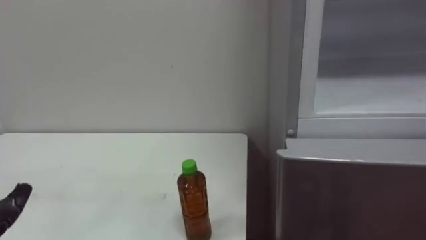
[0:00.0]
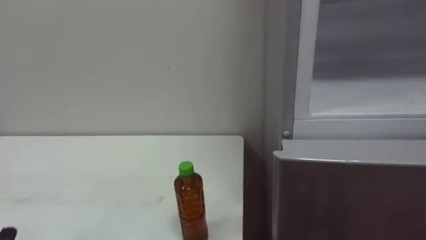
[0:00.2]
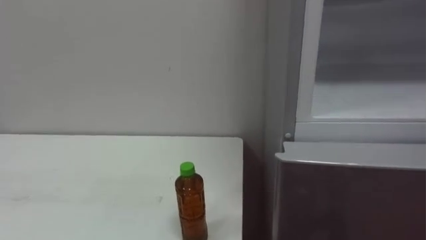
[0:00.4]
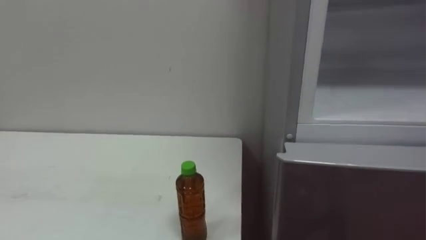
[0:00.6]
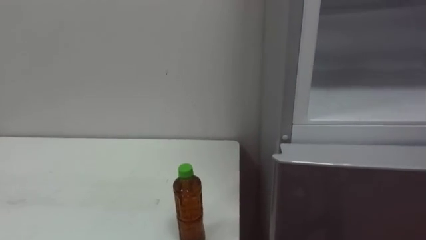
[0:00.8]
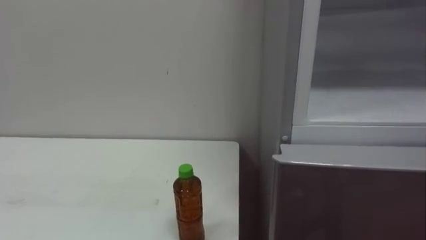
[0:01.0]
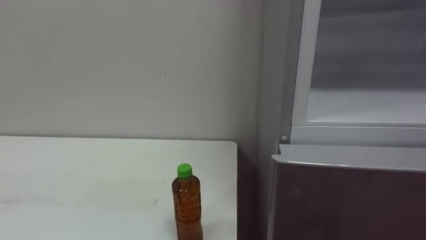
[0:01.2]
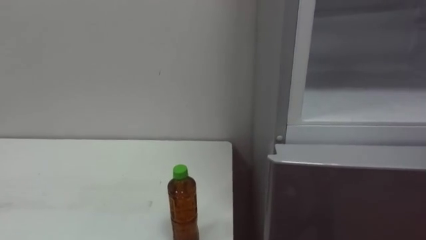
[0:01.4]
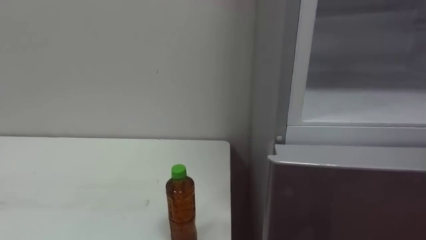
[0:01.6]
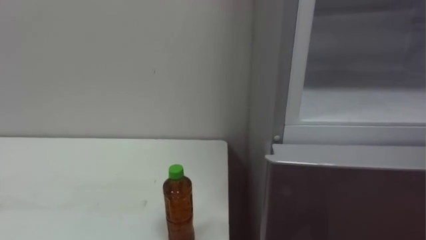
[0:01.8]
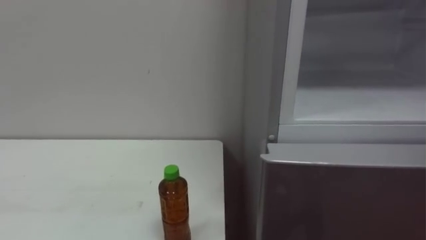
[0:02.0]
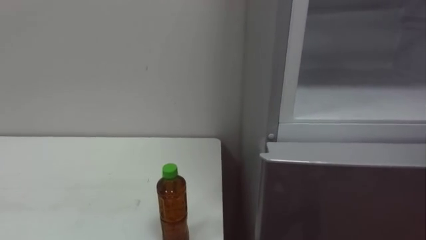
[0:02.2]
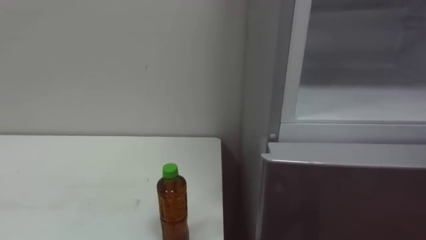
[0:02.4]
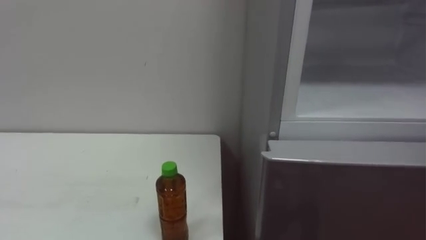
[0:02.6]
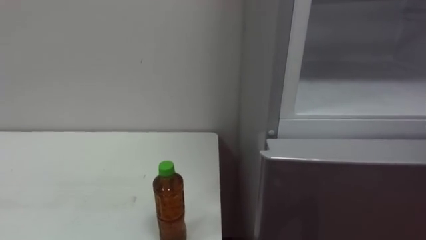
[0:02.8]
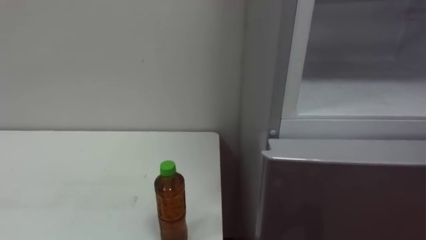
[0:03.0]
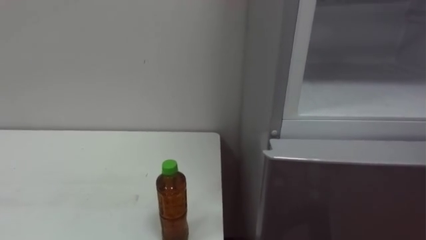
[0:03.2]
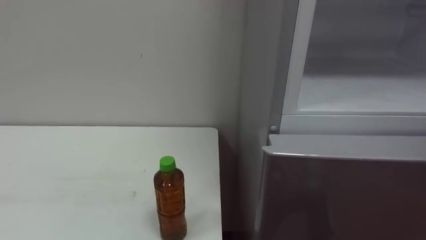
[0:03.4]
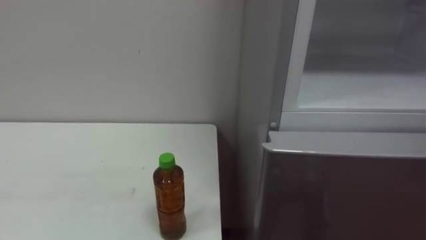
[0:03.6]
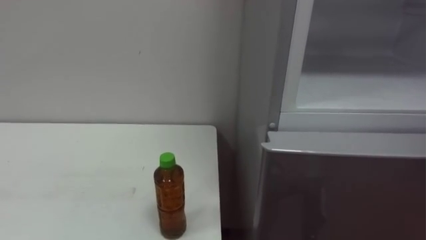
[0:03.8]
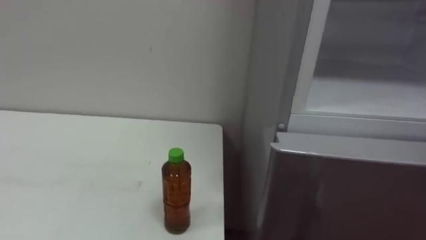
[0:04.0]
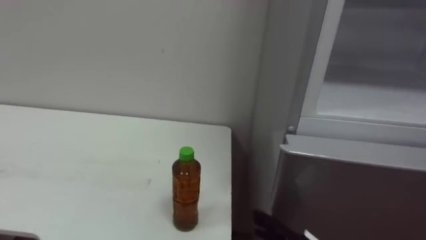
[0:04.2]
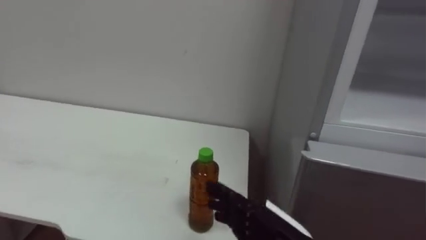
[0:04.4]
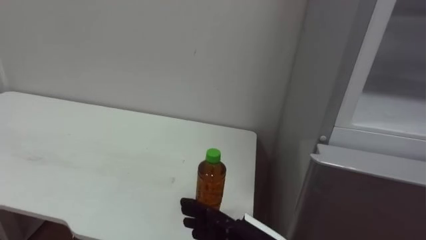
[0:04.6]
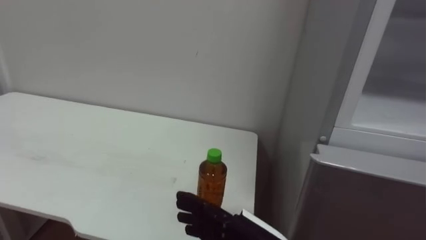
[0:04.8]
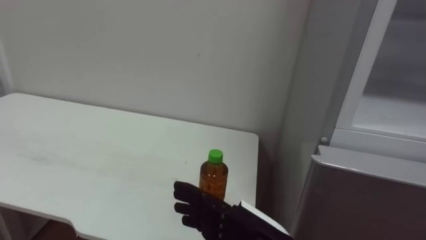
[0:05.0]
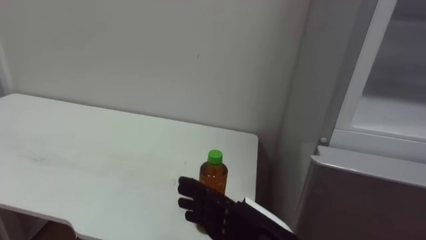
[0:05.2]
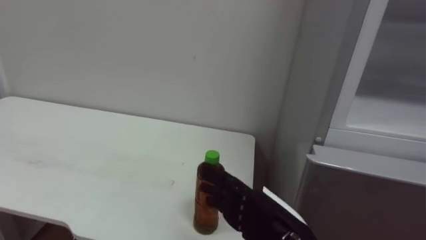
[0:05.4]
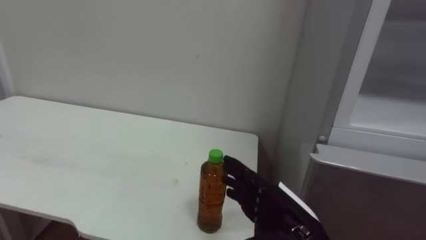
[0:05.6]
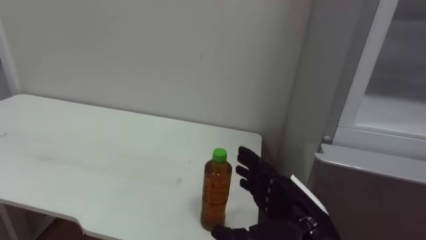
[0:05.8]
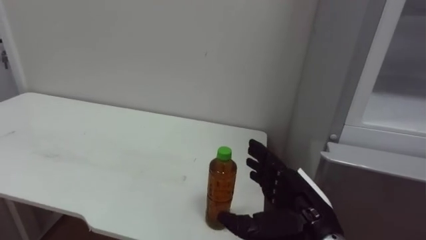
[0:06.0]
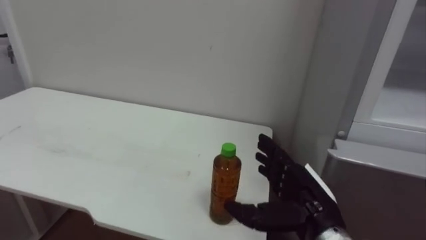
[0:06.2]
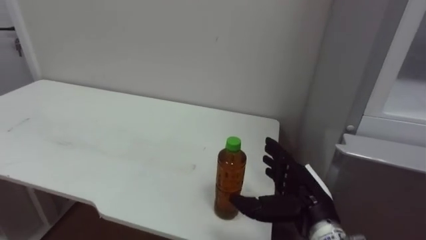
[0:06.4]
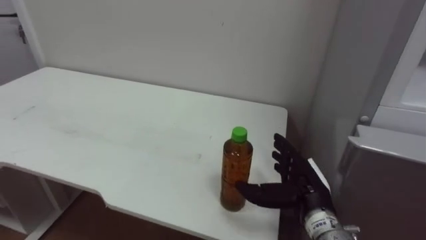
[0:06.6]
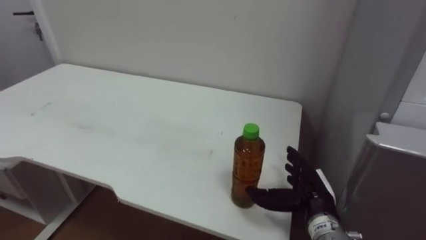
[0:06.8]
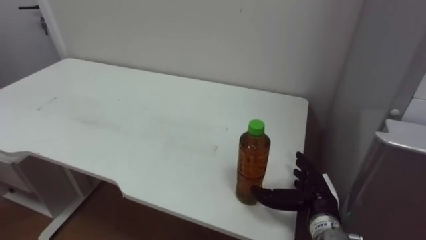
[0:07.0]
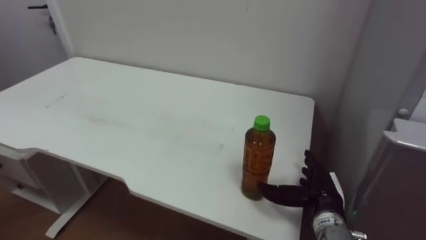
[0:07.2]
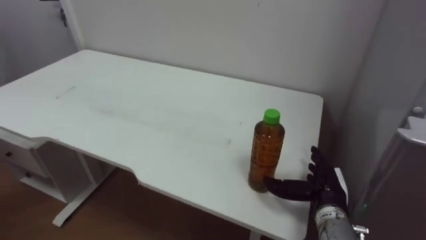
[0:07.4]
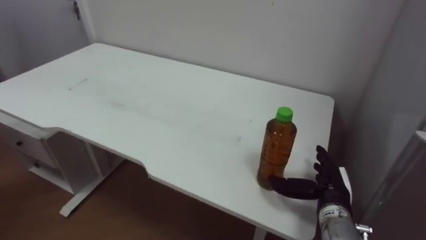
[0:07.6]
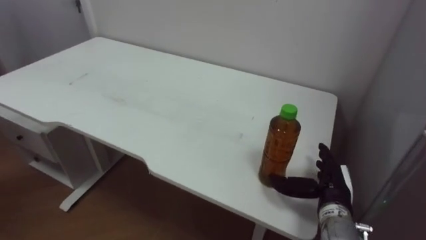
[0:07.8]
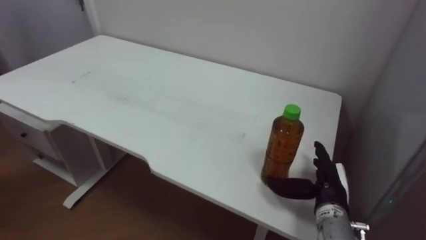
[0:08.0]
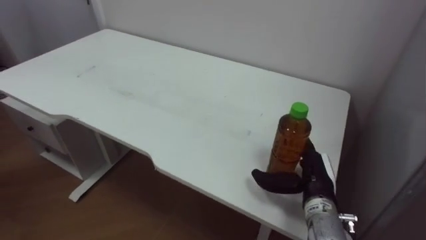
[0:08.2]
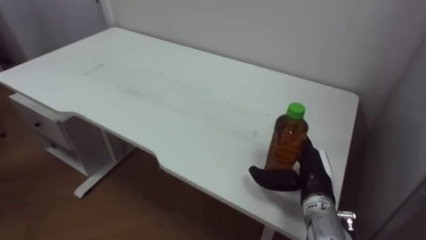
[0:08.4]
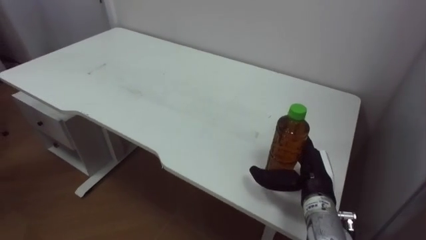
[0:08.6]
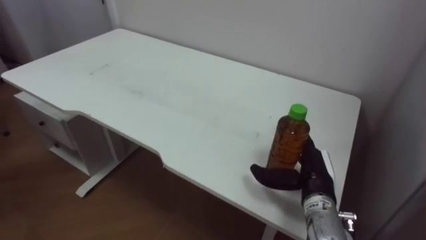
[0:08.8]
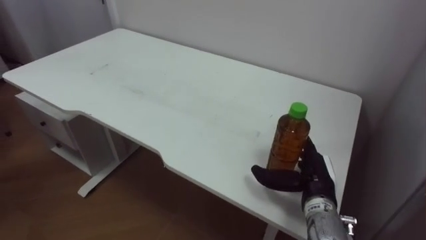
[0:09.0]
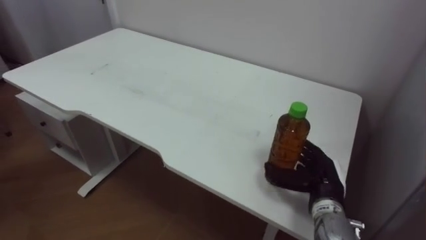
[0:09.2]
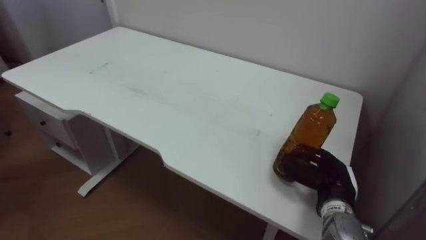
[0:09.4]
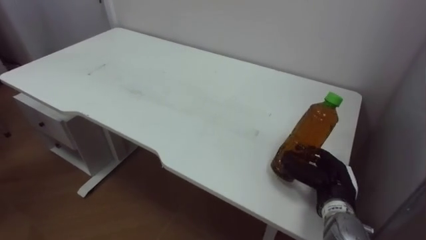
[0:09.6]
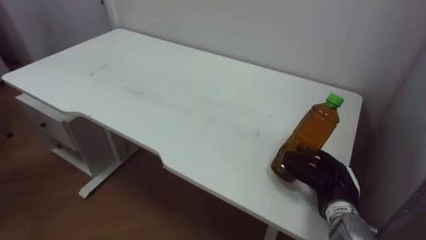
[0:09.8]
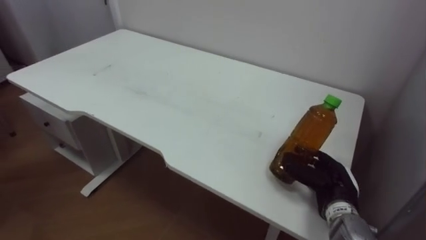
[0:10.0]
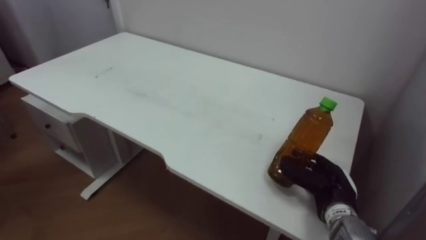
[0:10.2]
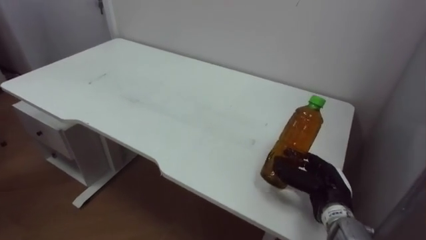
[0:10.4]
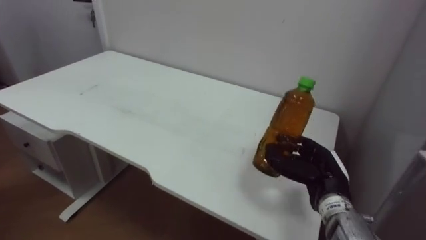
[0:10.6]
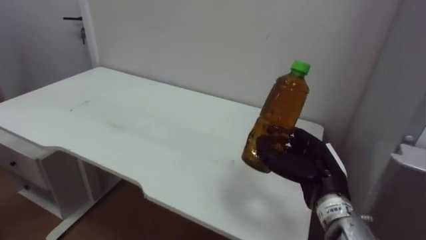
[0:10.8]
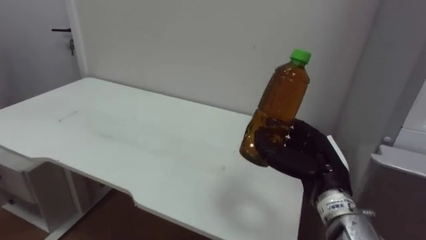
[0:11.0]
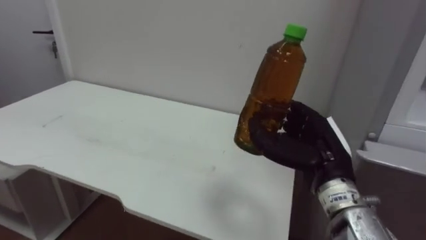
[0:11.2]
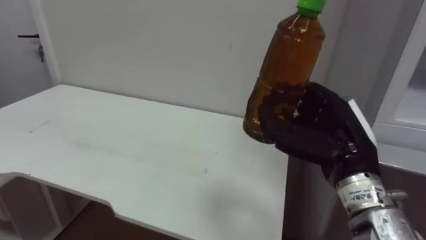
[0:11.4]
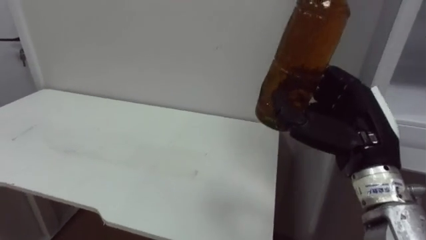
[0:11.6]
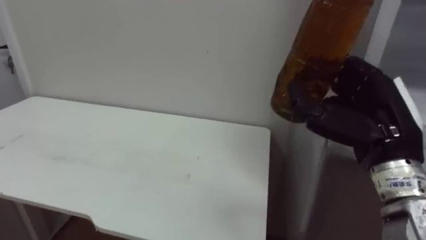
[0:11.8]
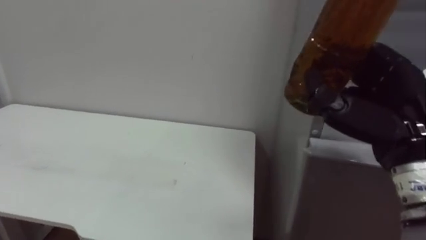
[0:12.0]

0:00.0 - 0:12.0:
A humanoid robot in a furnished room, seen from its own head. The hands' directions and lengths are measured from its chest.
Task of the whole recording: Open the upper refrigerator door, put the drink from the table into the refrigerator, and then close the refrigerator door.
0:06.0 - 0:07.6: The right hand heads forward, to the right and downward, covering approximately 15 cm.
0:09.0 - 0:10.4: The right hand closes up.
0:10.4 - 0:12.0: The right hand goes approximately 20 cm upward and backward.

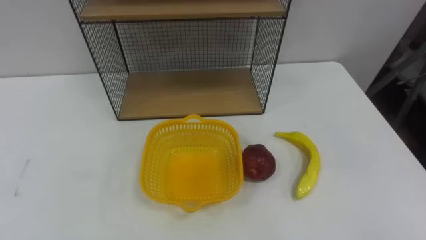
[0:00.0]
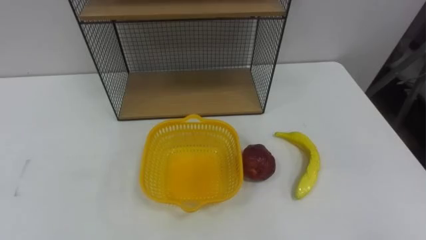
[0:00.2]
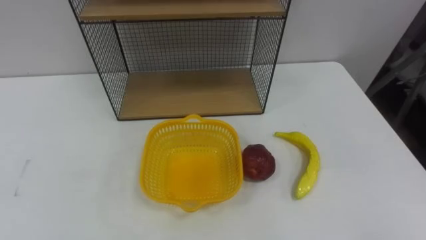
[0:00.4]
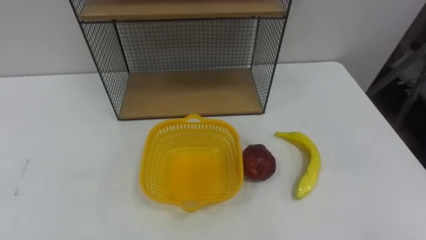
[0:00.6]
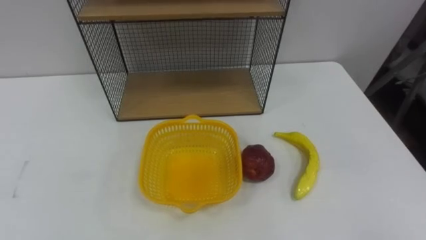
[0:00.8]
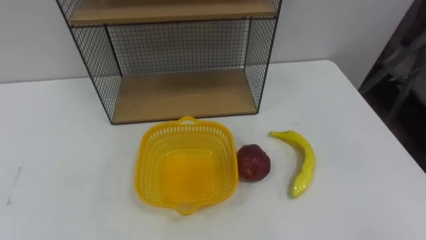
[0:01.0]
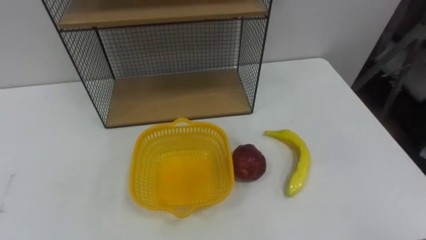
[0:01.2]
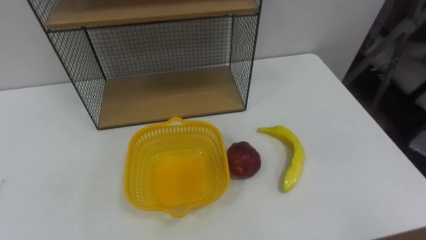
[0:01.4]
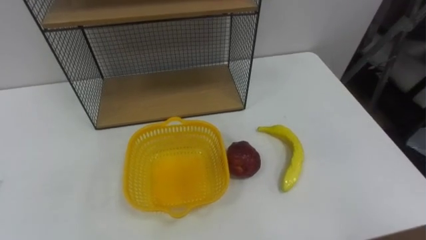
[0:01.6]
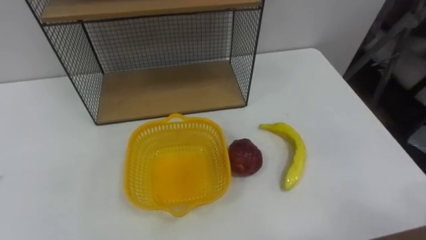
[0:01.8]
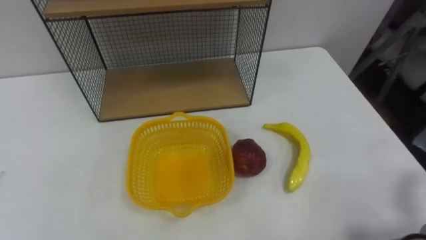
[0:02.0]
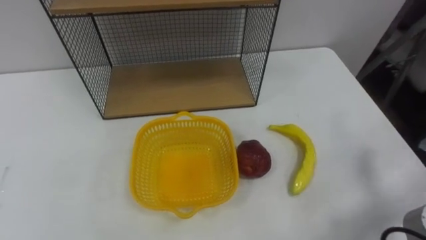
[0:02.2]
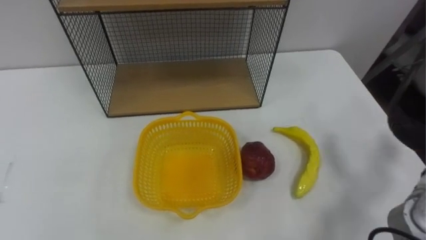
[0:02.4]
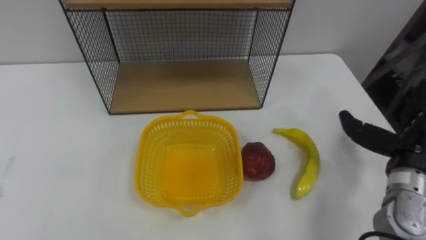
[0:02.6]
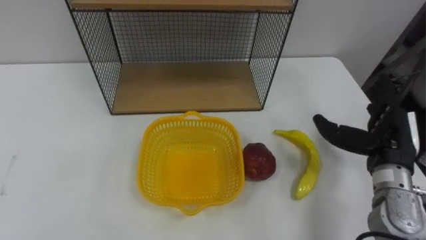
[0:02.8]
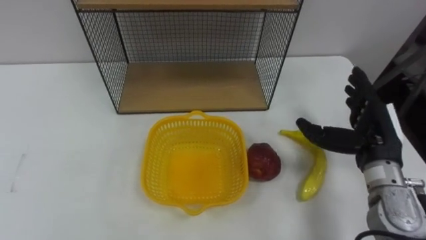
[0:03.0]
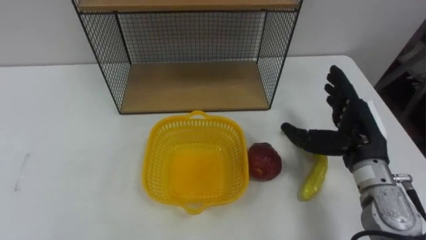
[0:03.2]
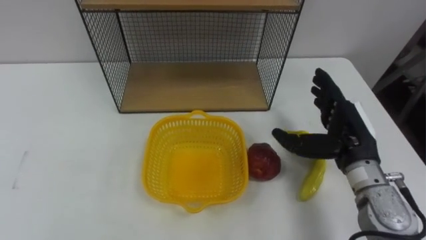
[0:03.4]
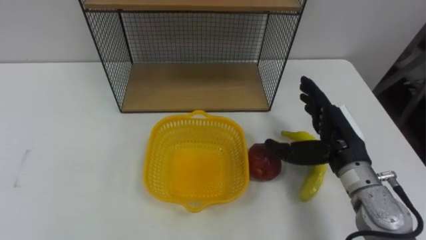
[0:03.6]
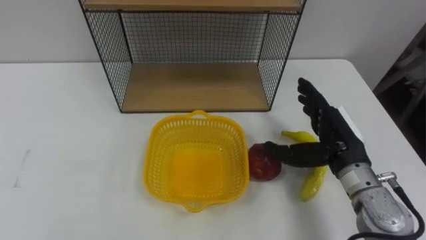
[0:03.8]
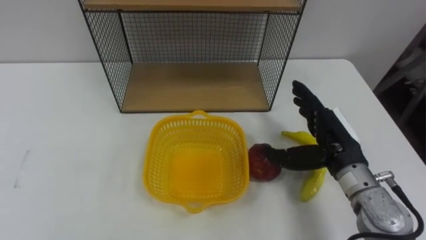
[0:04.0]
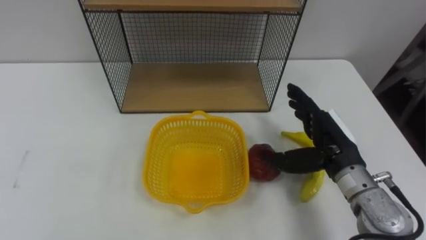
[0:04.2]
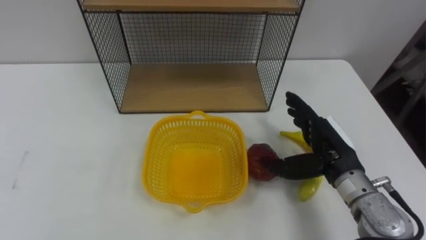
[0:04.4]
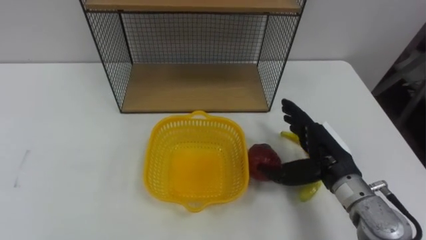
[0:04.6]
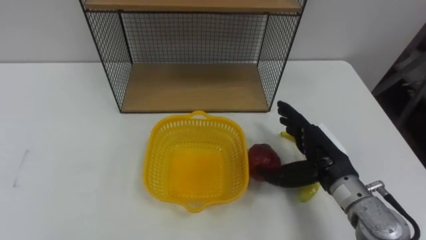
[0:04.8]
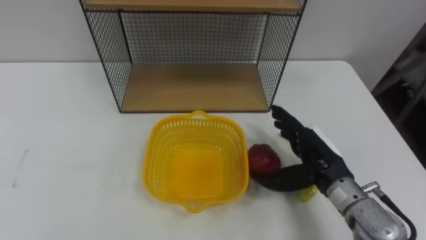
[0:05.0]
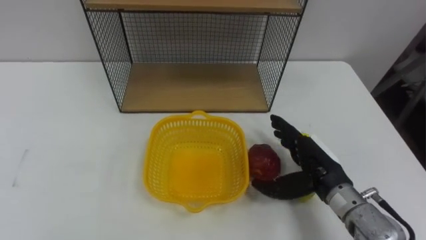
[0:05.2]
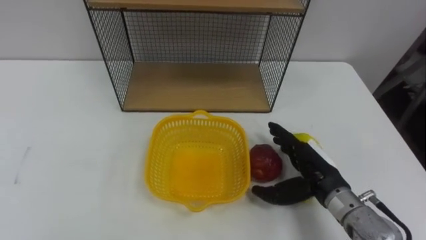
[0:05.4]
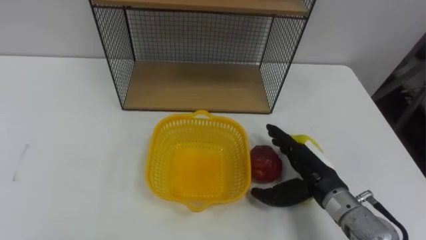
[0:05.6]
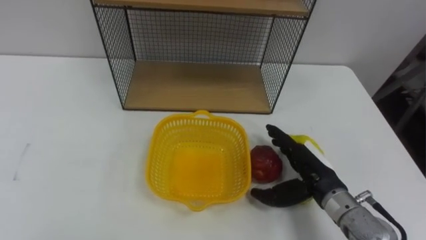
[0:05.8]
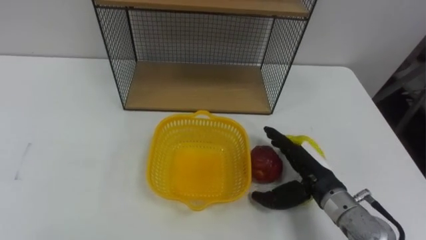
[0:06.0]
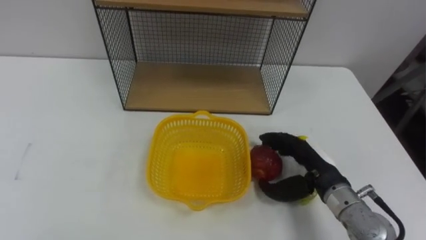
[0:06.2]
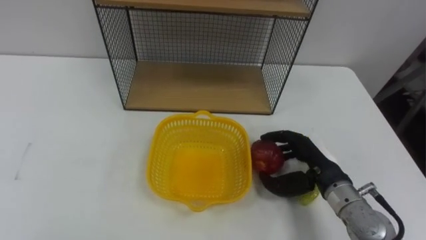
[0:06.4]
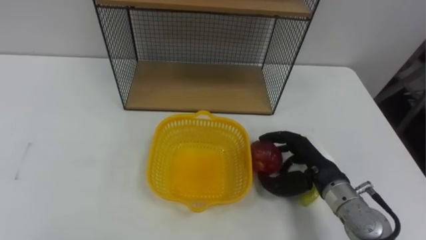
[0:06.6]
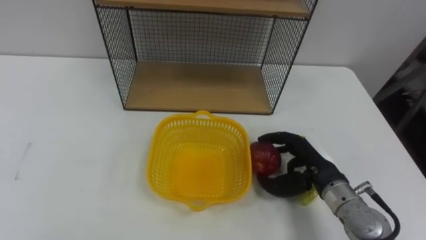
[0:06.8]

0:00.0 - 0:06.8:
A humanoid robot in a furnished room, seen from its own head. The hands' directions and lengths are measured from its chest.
Task of the whole recording: Put the fruit on the table into the basket, then place the basket on the shelf.
0:02.8 - 0:04.0: The right hand moves to the left, roughly 10 cm.
0:04.0 - 0:05.4: The right hand heads downward, covering approximately 5 cm.
0:05.4 - 0:06.8: The right hand closes up.
